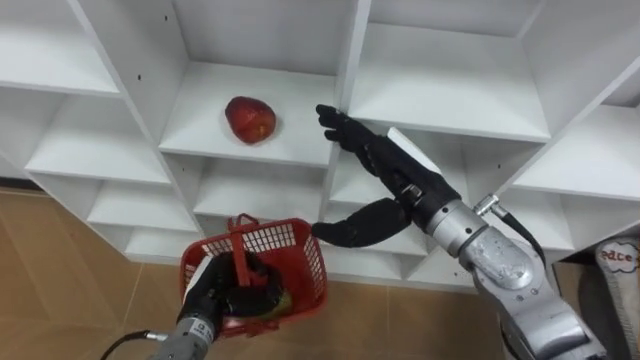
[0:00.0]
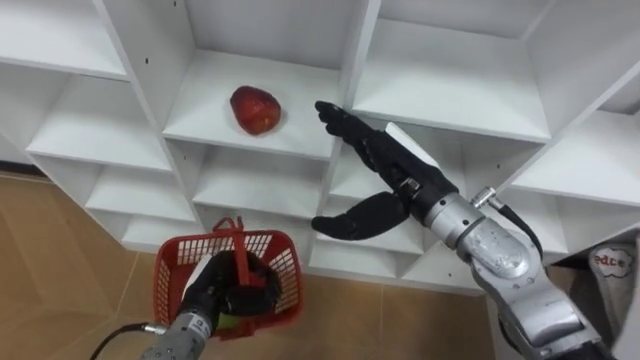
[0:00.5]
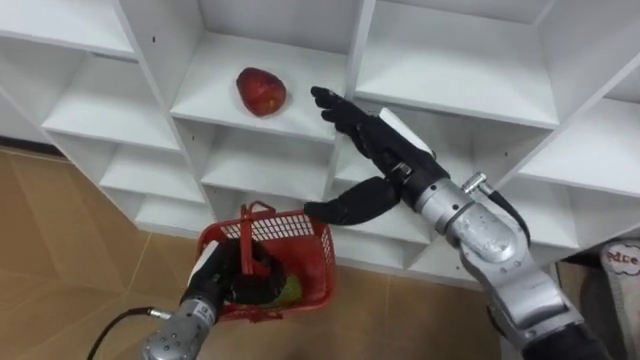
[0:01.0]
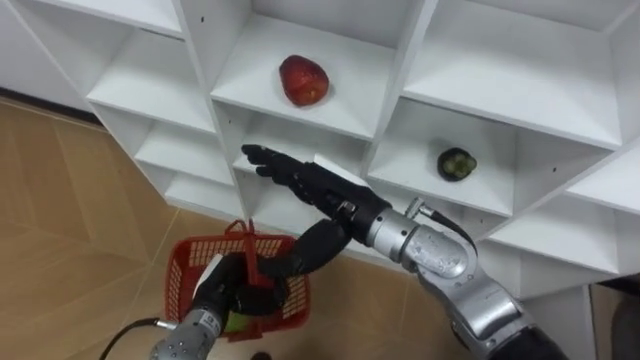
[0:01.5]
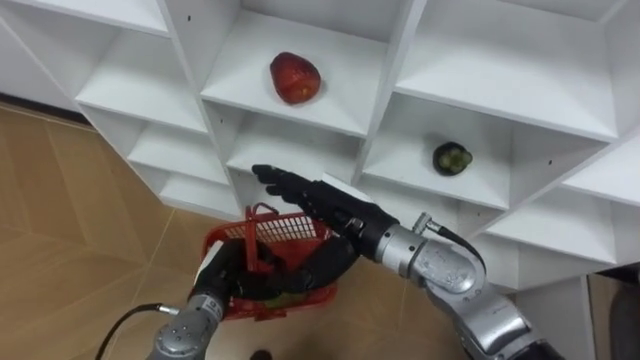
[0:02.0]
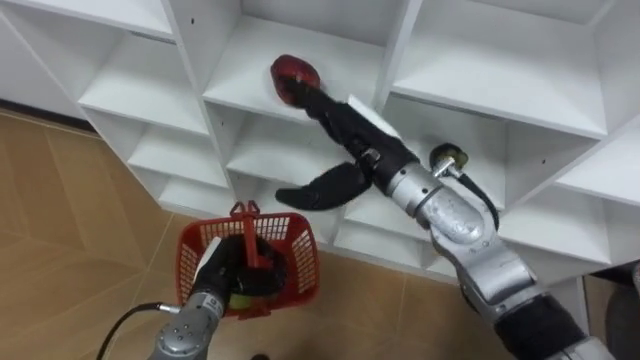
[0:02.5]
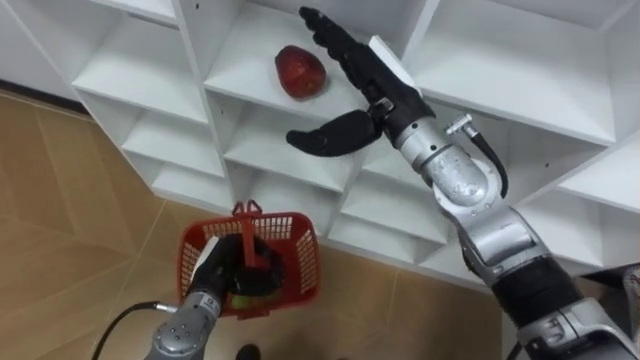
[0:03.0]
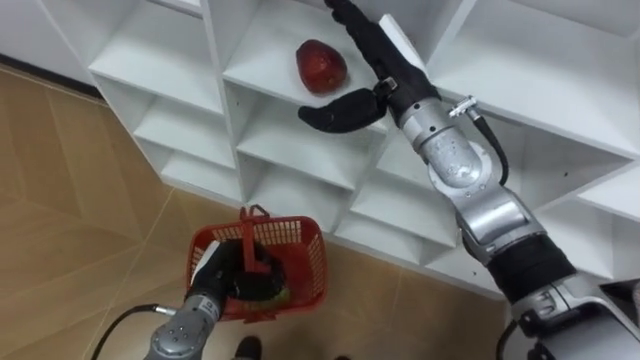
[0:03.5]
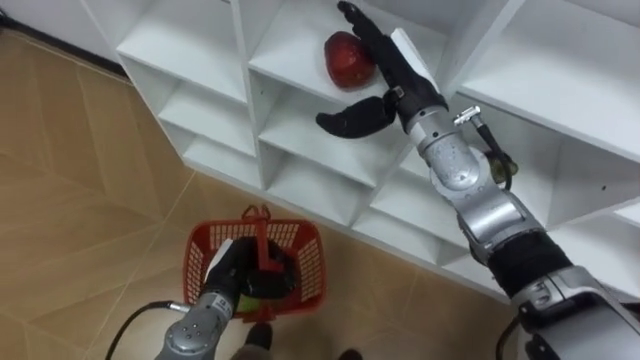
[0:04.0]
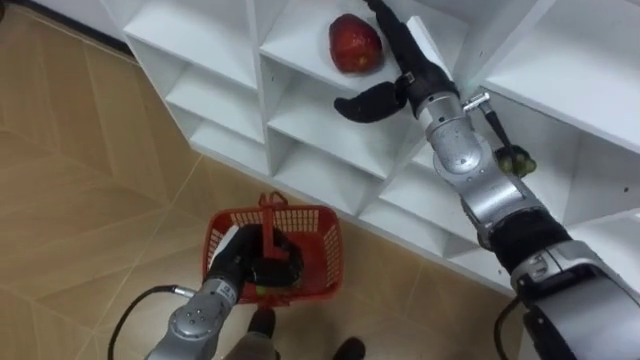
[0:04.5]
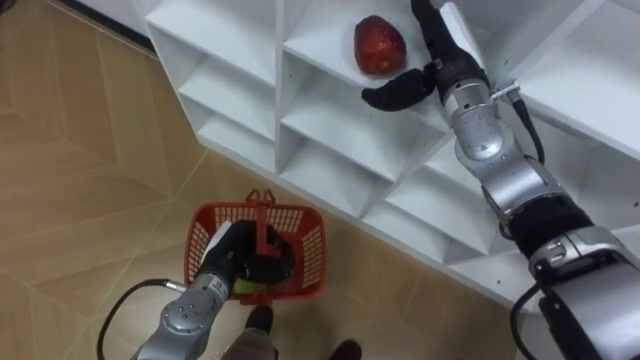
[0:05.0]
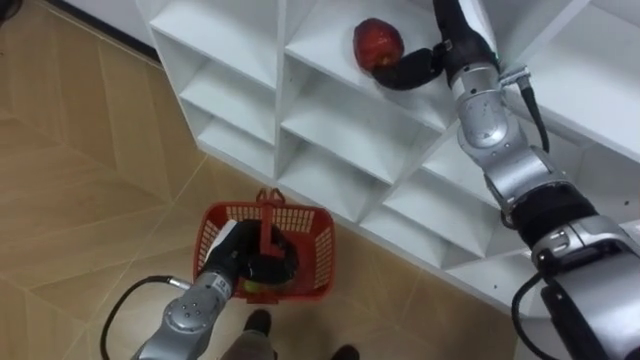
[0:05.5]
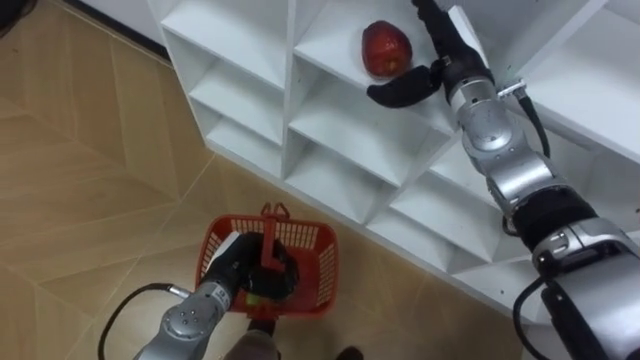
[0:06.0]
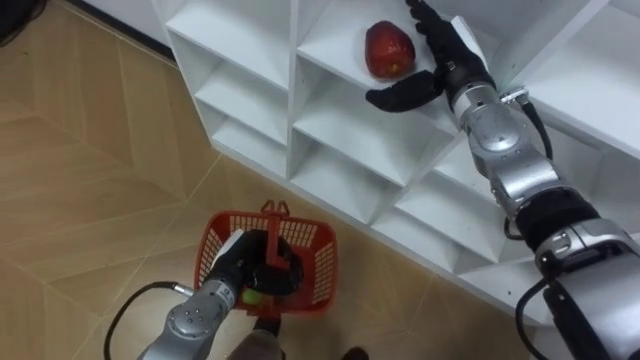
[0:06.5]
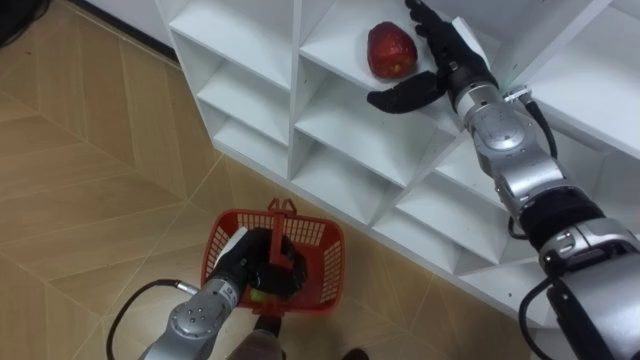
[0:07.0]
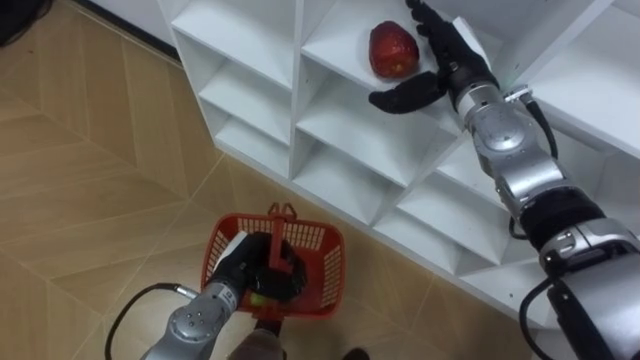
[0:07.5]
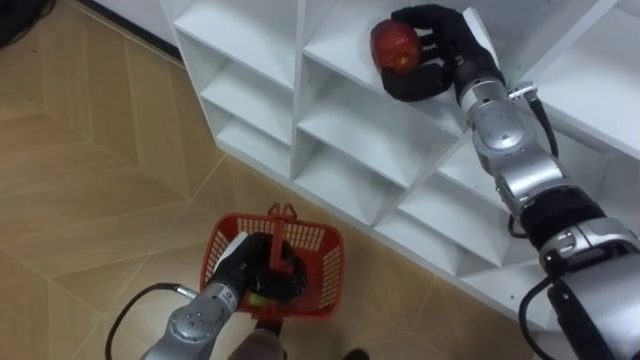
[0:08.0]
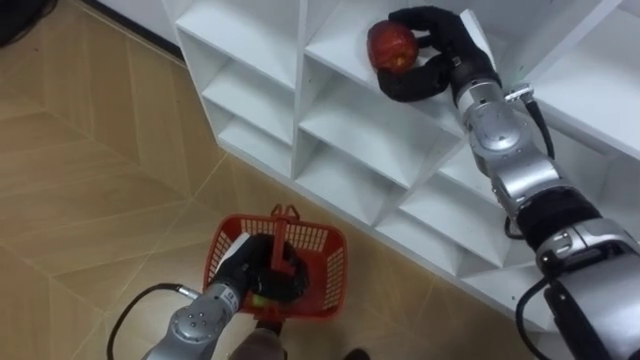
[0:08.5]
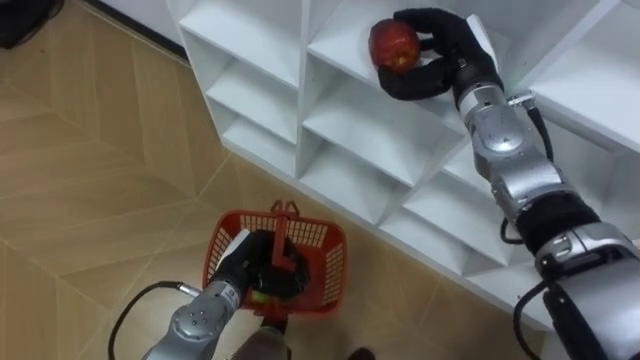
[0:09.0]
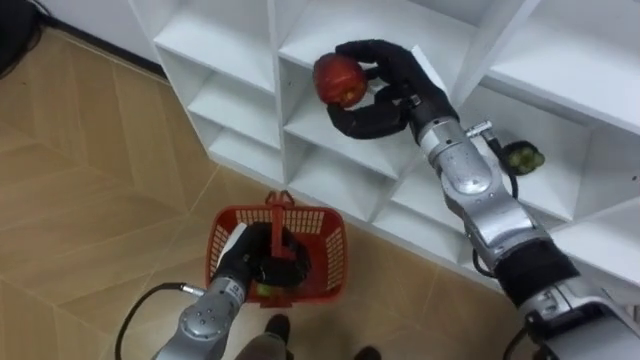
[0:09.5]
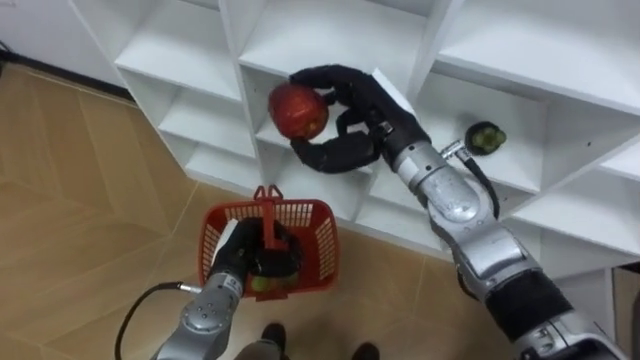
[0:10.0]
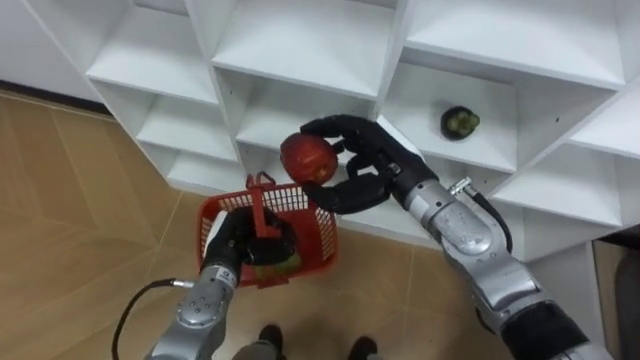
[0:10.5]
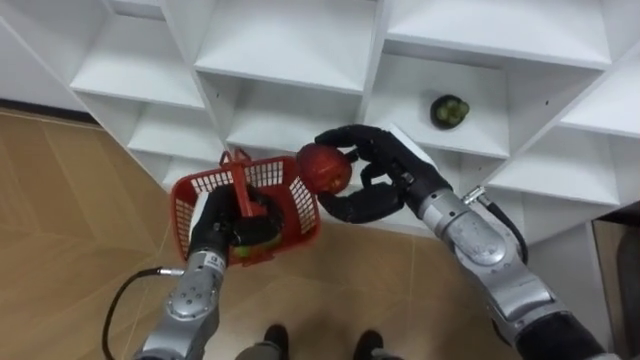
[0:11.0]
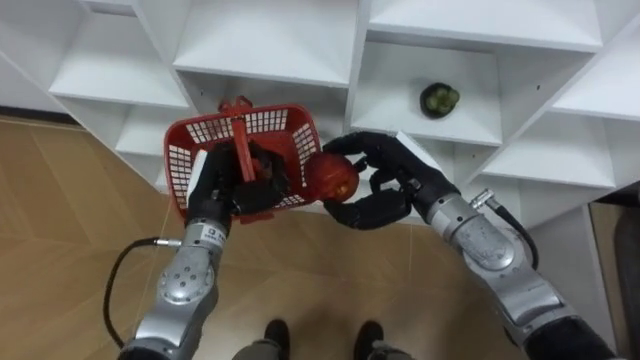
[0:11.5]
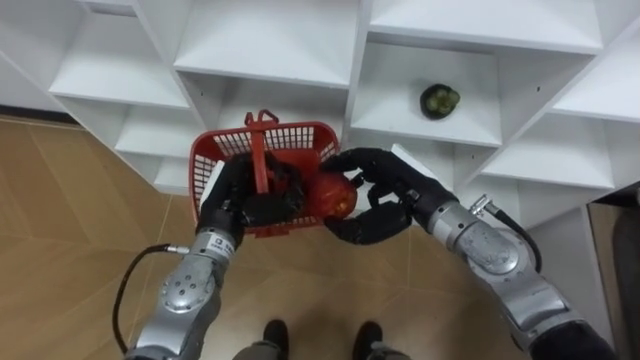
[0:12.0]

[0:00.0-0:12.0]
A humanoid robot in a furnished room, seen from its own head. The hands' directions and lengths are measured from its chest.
Task of the whole recording: Hold the basket and collect the fruits from 3 different cells of the closet into it.
0:00.0 to 0:02.0: The right hand goes roughly 5 cm to the left.
0:02.0 to 0:04.0: The right hand is displaced forward, upward and to the right by some 15 cm.
0:04.0 to 0:06.0: The right hand moves to the right, about 5 cm.
0:06.0 to 0:08.0: The right hand closes its fingers.
0:08.0 to 0:10.0: The right hand is displaced to the left and backward by about 10 cm.
0:10.0 to 0:12.0: The left hand shifts about 10 cm upward. Meanwhile the right hand goes some 10 cm downward.

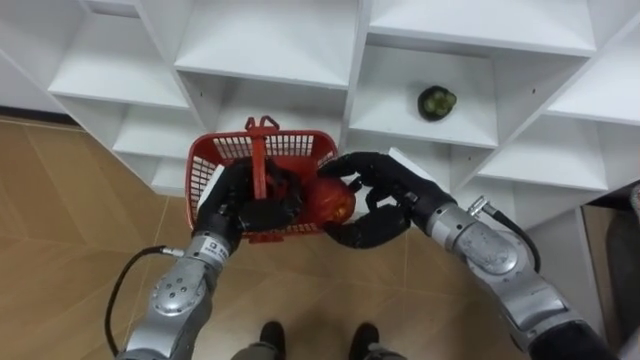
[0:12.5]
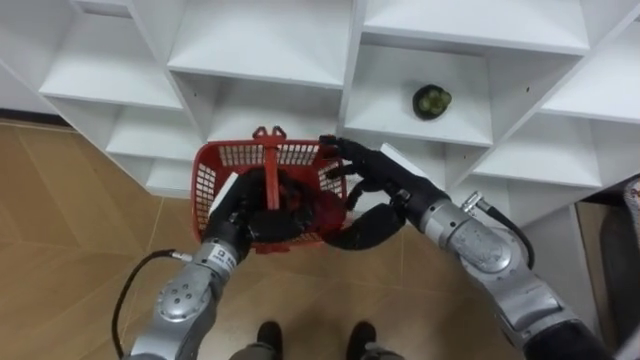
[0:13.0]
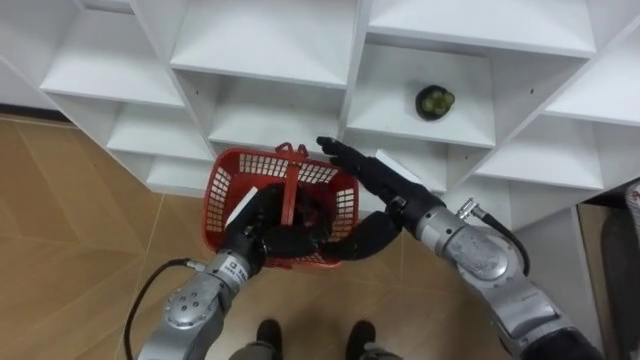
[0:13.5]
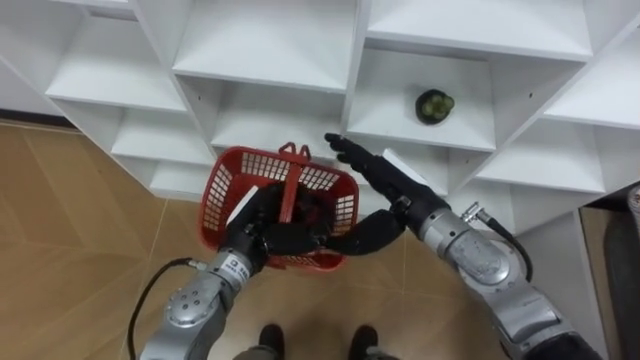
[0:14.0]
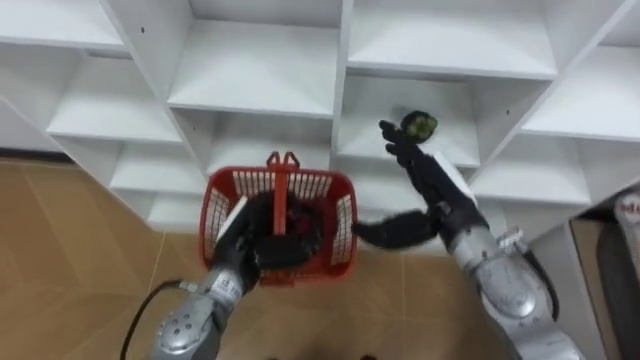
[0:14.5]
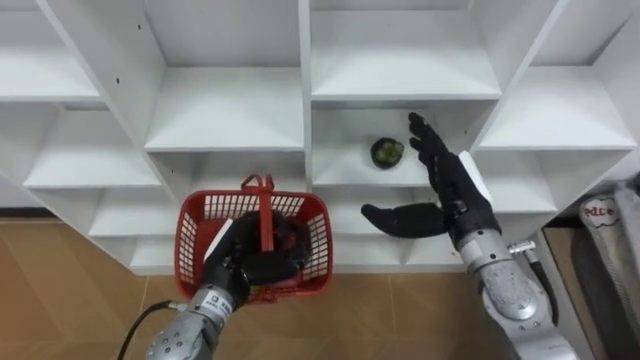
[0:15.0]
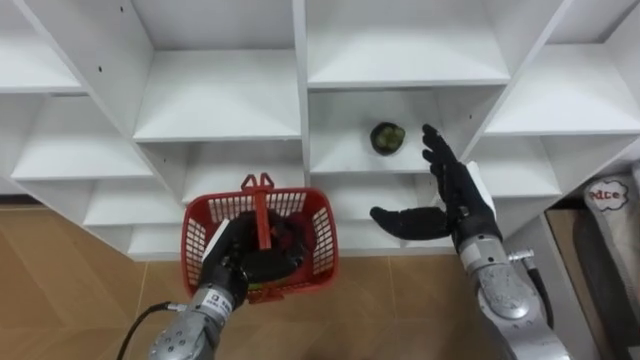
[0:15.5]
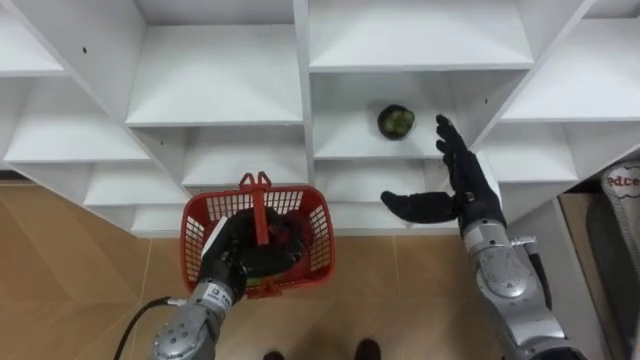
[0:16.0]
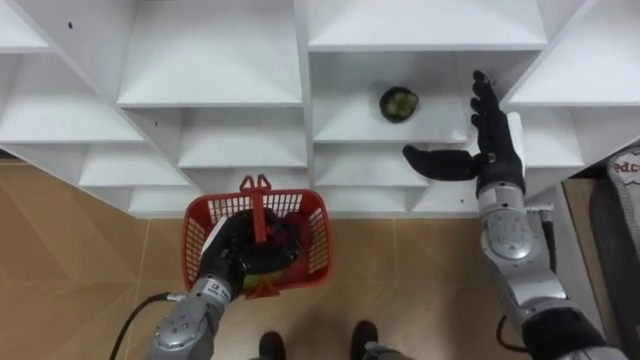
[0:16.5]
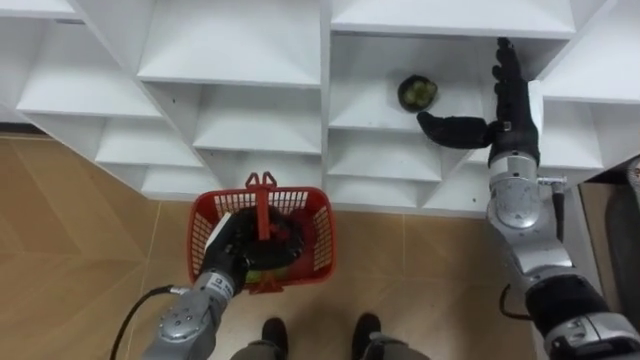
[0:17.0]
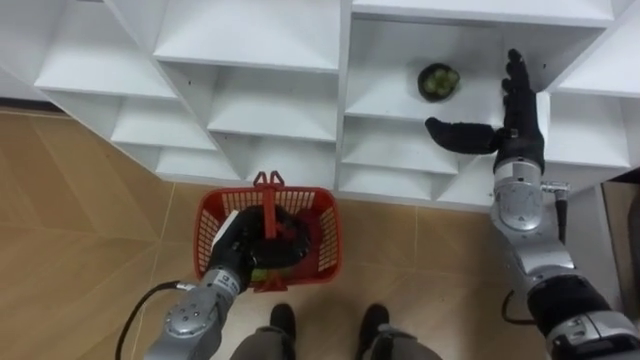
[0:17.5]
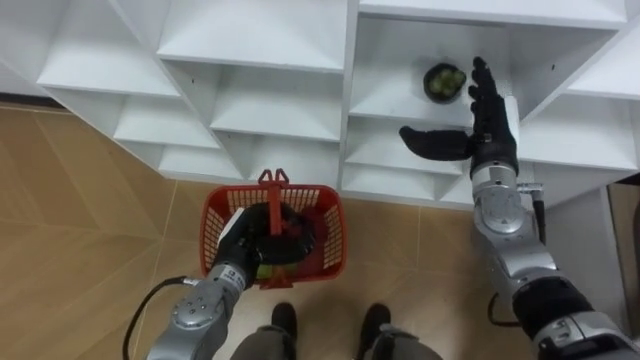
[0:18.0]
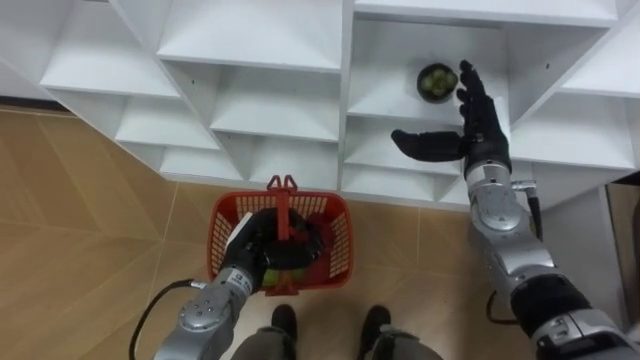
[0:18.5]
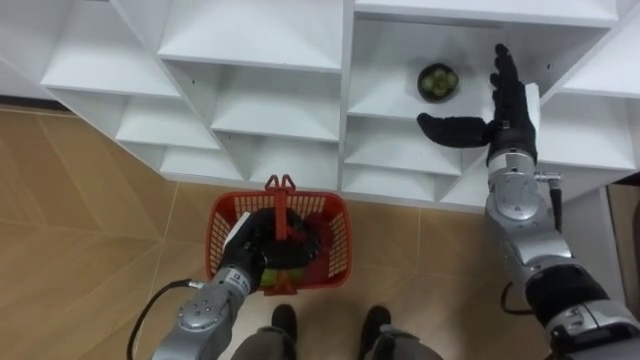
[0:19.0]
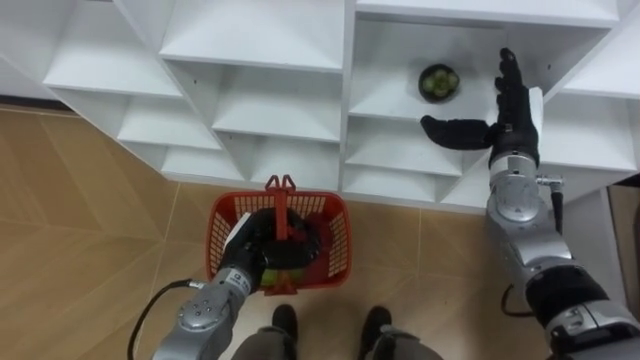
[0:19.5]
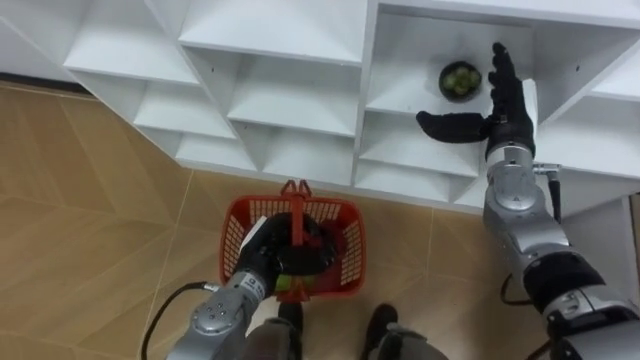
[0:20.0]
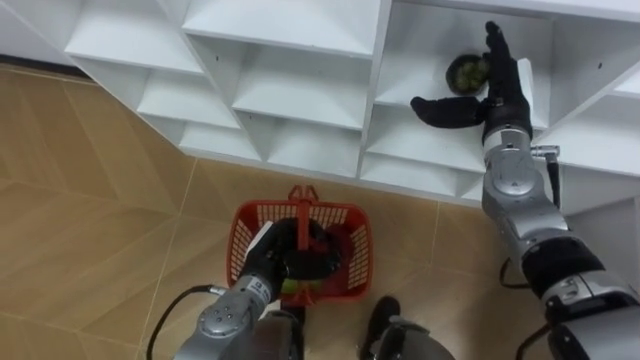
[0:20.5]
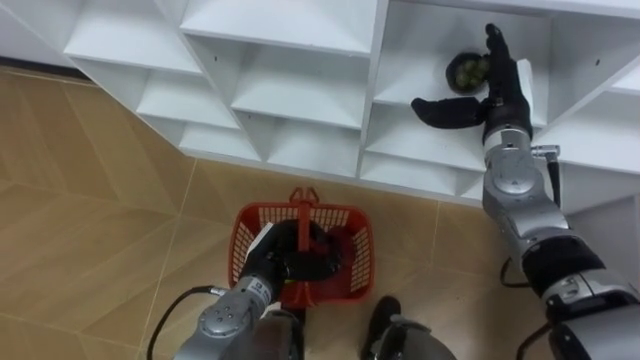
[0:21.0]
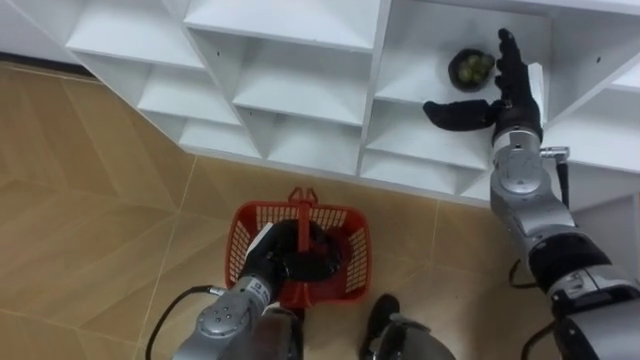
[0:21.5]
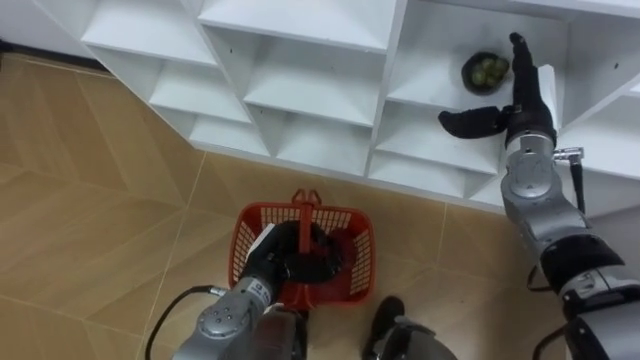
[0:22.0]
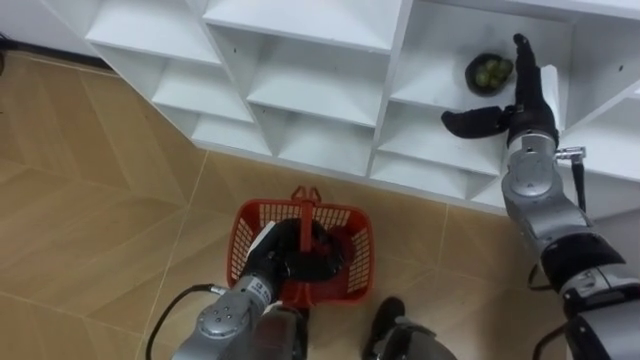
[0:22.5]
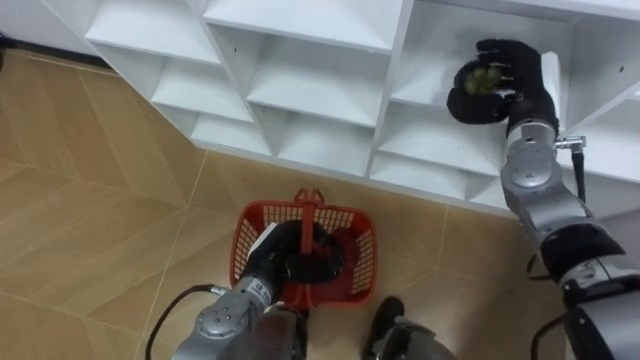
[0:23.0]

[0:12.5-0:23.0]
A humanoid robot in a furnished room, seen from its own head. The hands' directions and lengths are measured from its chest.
Task of the whole recording: Hold the basket and collect the fruits from 3 different cells of the closet into it.
0:12.5 to 0:14.5: The right hand opens up.
0:14.5 to 0:16.5: The right hand is displaced to the right and forward by roughly 10 cm.
